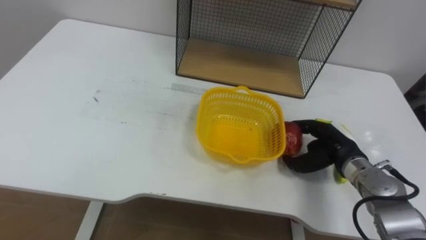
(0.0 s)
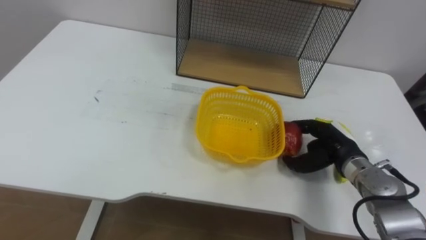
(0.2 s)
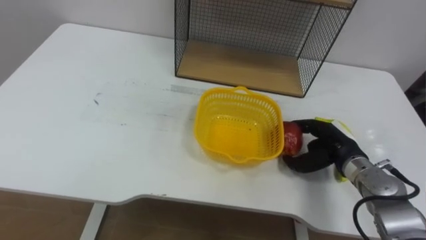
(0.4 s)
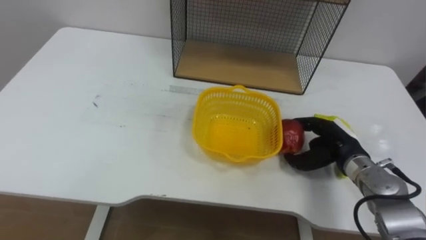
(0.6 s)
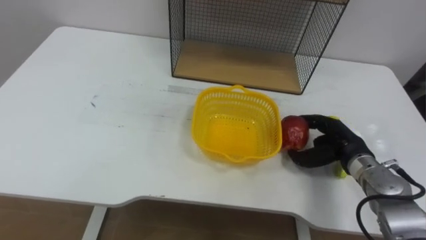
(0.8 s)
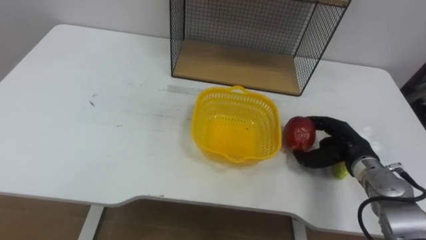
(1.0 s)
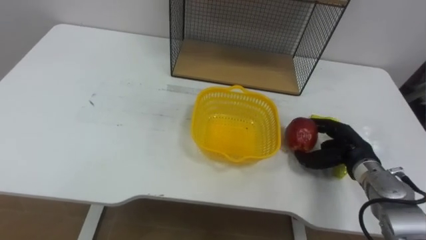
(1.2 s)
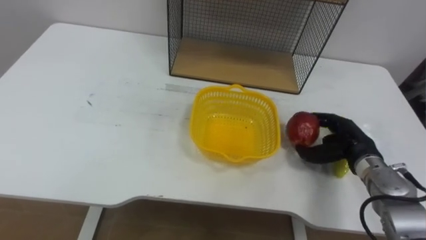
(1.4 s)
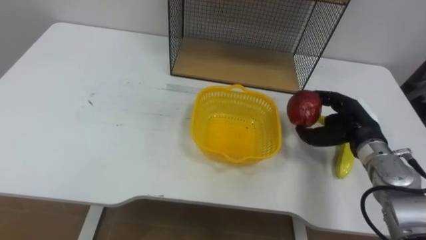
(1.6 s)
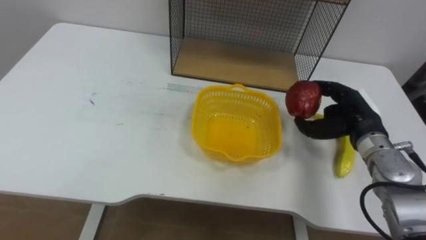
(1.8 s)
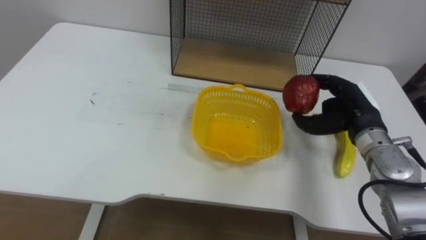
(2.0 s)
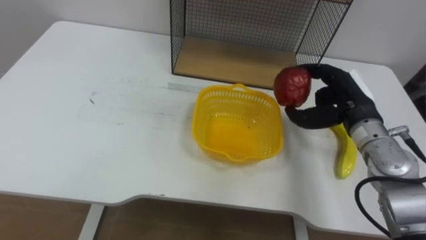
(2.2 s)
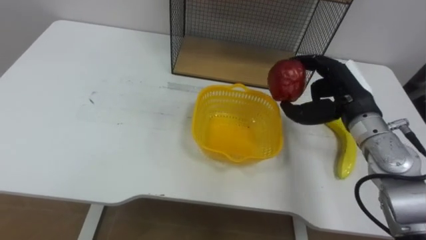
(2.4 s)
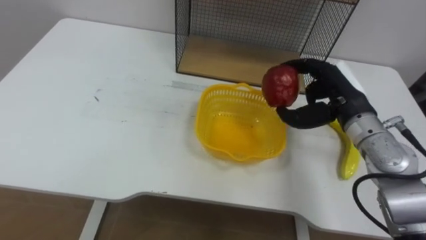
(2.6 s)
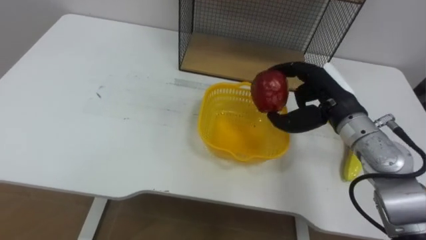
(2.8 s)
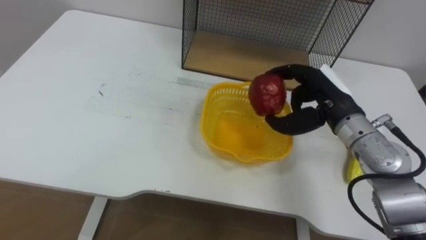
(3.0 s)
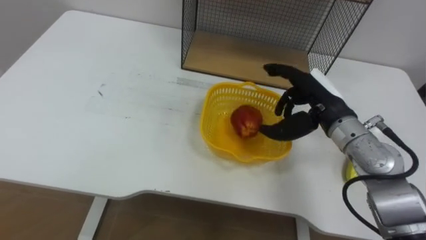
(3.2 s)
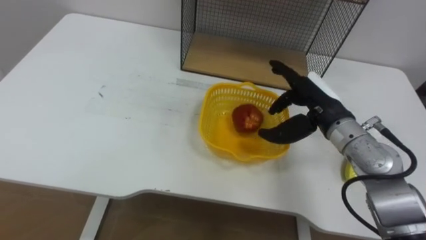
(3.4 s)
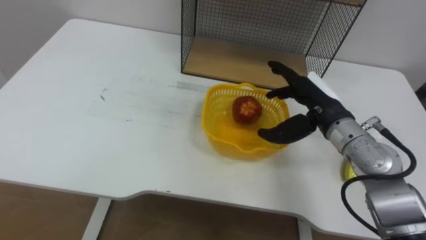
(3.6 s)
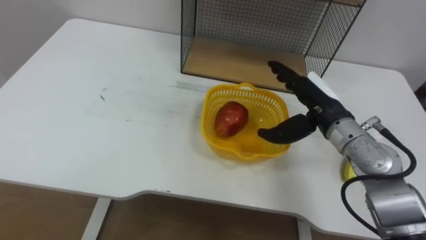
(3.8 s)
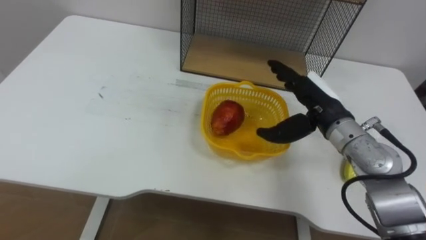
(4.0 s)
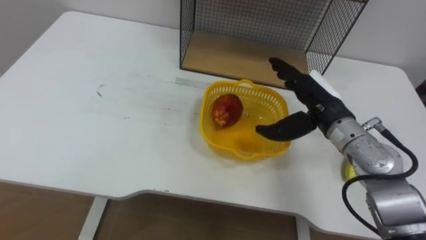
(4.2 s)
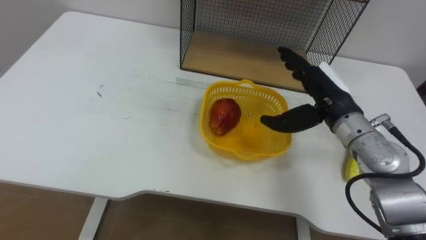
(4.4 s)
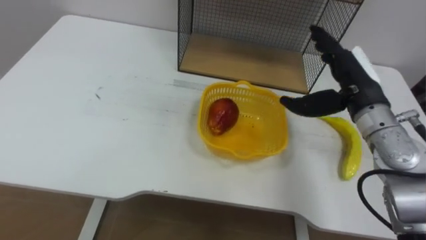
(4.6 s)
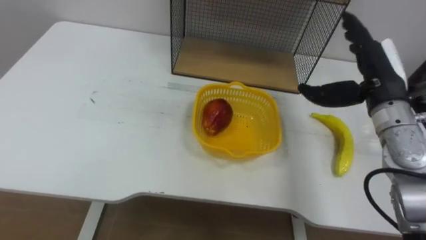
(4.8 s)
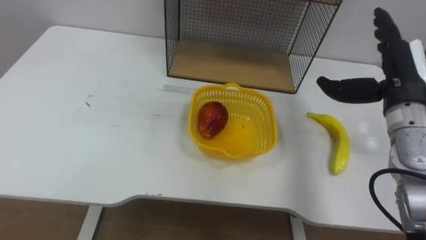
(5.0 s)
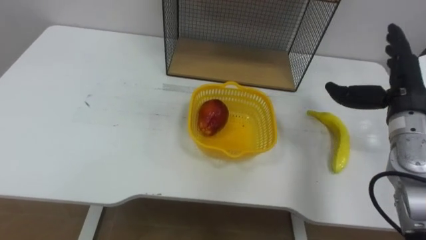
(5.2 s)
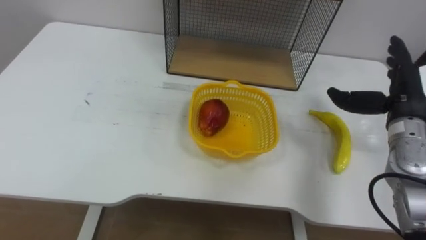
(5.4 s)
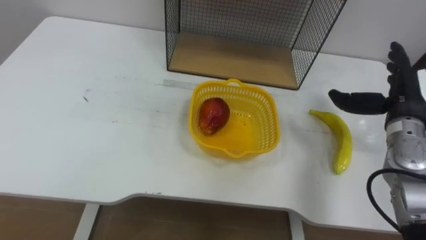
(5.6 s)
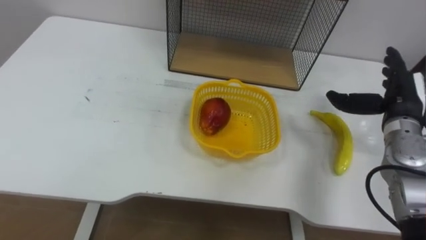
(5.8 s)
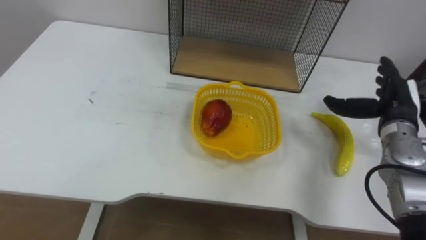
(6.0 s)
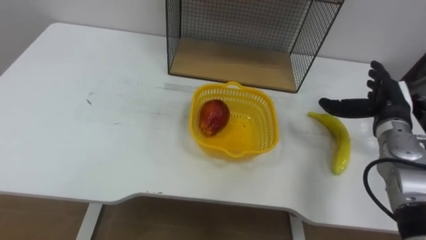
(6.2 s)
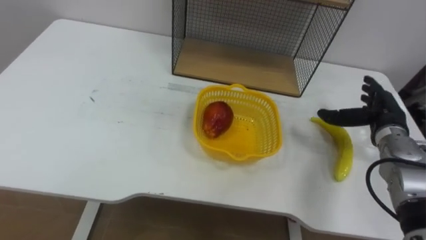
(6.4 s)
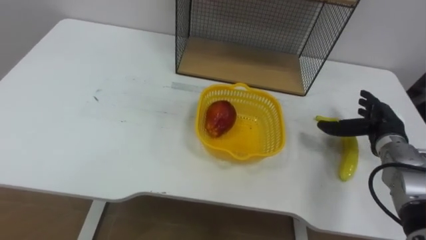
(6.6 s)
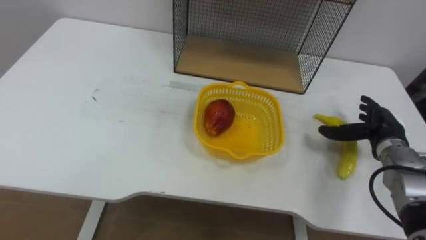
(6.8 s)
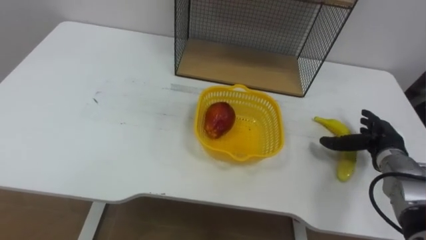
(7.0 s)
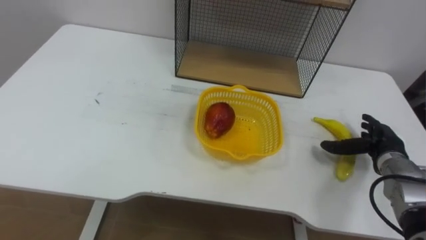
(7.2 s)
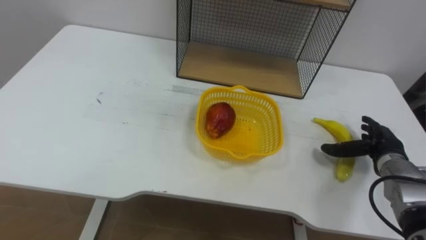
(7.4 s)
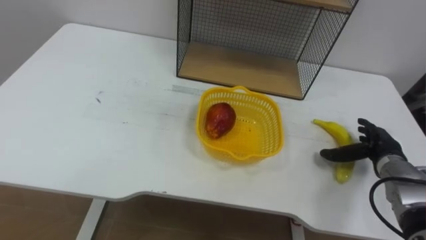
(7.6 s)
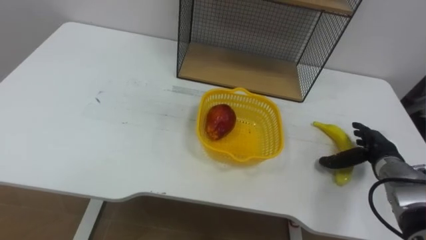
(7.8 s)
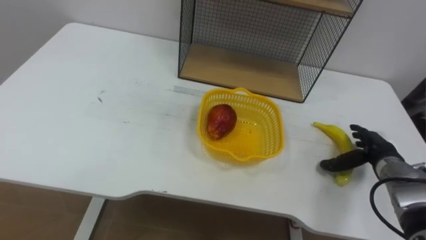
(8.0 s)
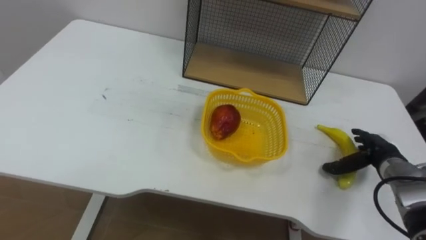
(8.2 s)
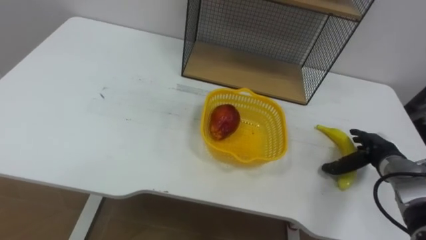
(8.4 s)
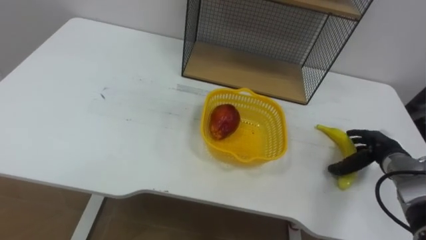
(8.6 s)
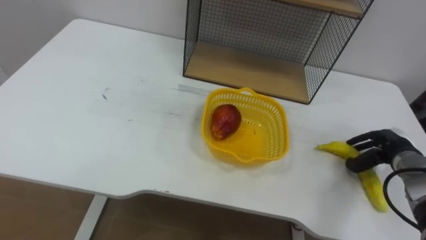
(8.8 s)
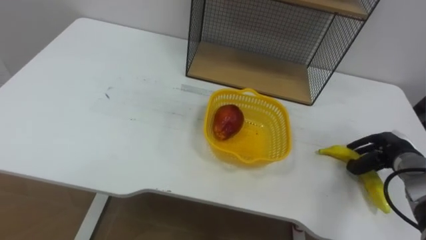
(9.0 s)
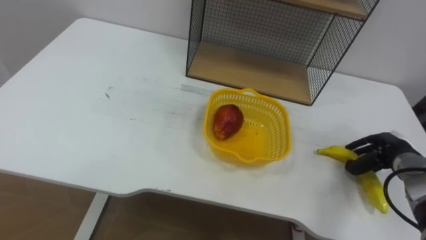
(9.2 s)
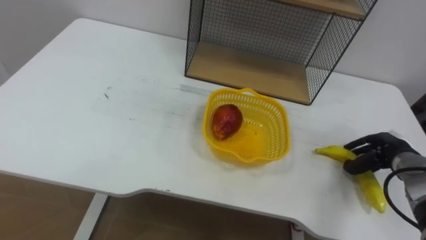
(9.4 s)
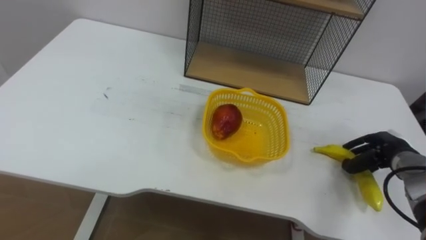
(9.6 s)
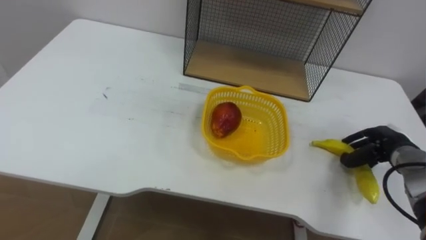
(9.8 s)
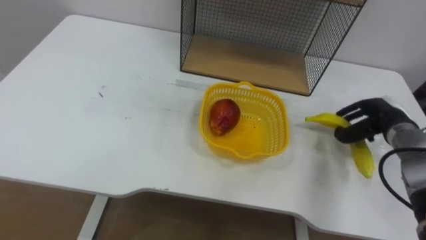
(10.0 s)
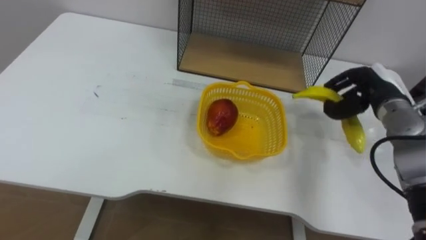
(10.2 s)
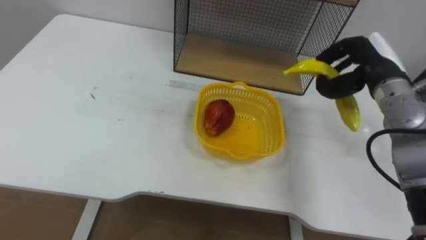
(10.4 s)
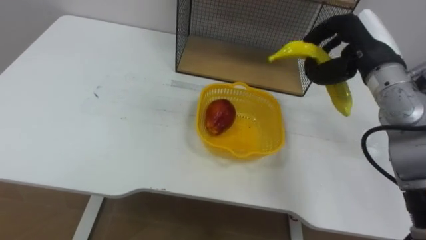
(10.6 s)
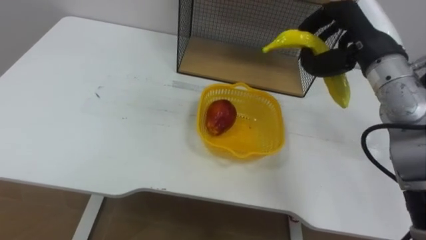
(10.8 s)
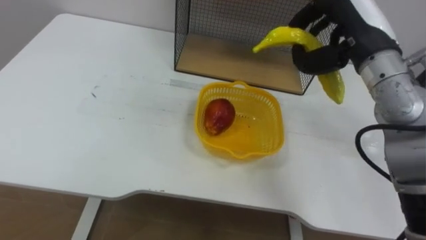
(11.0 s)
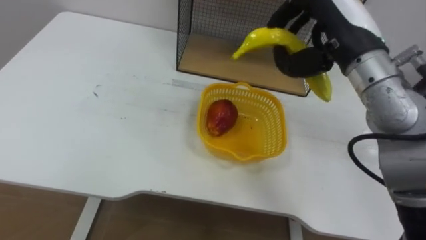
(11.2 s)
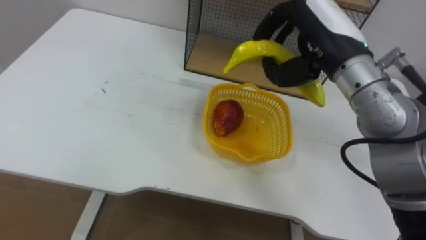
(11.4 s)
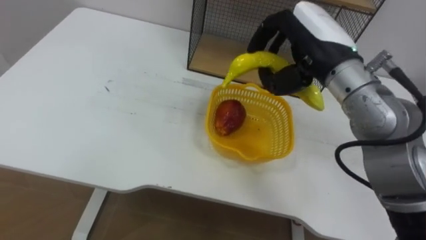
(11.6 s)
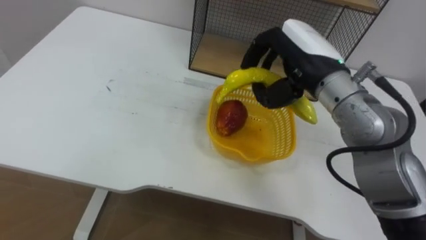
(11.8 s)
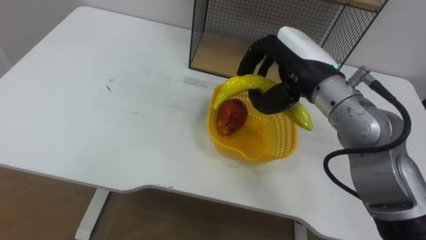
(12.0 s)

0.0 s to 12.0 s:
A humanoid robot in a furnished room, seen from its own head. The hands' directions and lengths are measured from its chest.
Task of the whole recording: Put the fruit on the table into the basket, then place the basket on the shelf.
0.0 to 1.6 s: The right hand ends up roughly 5 cm from where it was.
1.6 to 3.0 s: The right hand goes roughly 10 cm to the left and upward.
3.0 to 4.4 s: The right hand opens up.
4.4 to 6.0 s: The right hand moves to the right, about 15 cm.
6.0 to 7.6 s: The right hand is displaced downward by roughly 10 cm.
7.6 to 9.0 s: The right hand closes up.
9.0 to 10.4 s: The right hand heads upward, to the left and forward, covering some 20 cm.
10.4 to 12.0 s: The right hand goes about 15 cm to the left.

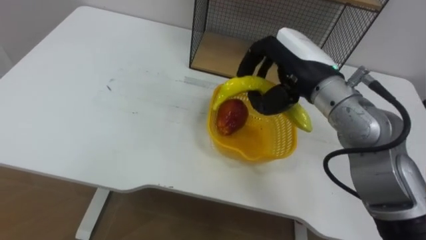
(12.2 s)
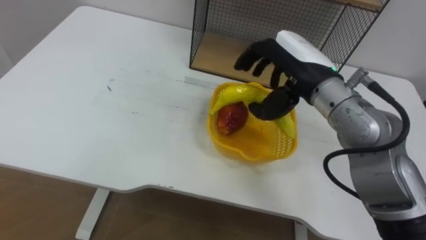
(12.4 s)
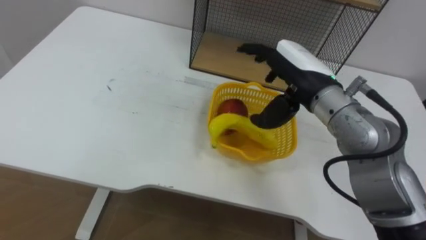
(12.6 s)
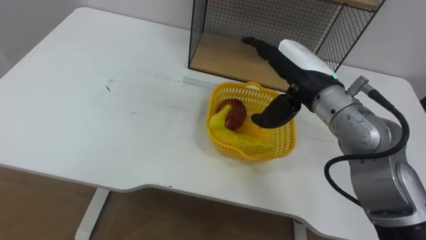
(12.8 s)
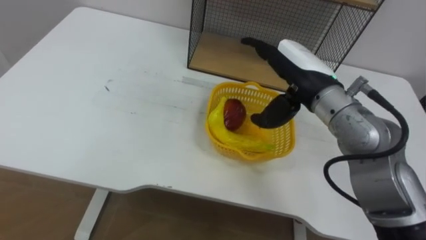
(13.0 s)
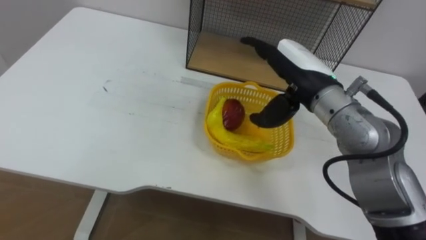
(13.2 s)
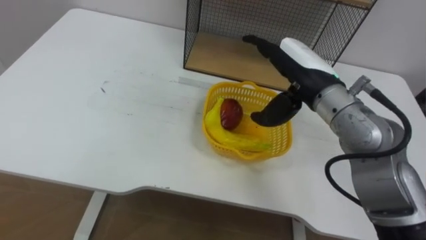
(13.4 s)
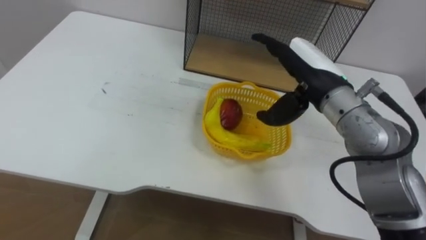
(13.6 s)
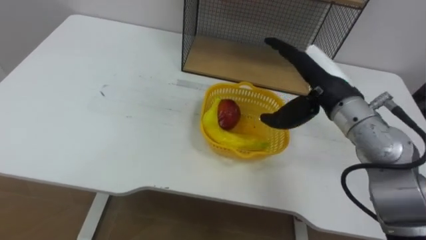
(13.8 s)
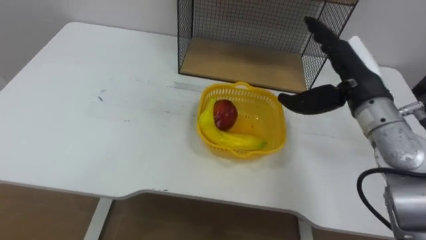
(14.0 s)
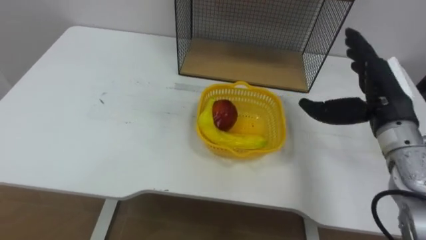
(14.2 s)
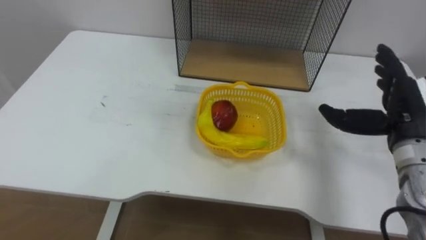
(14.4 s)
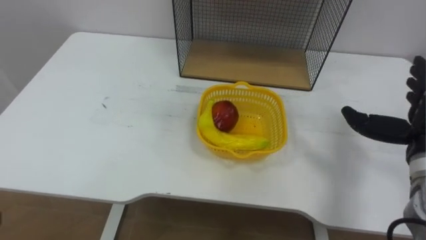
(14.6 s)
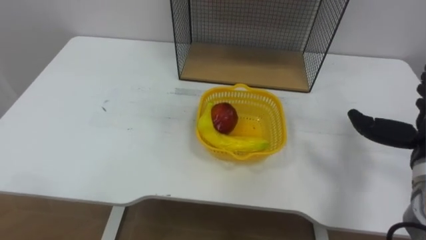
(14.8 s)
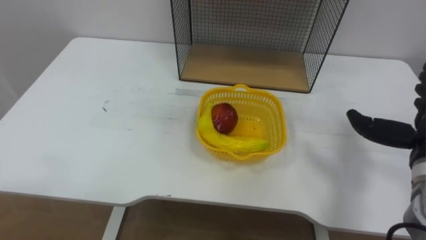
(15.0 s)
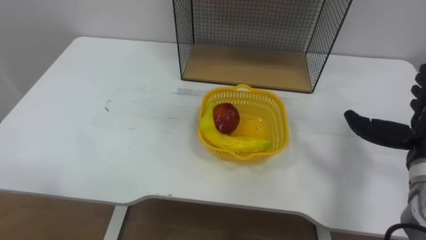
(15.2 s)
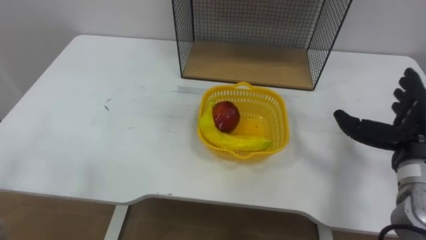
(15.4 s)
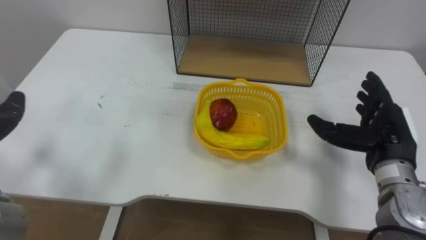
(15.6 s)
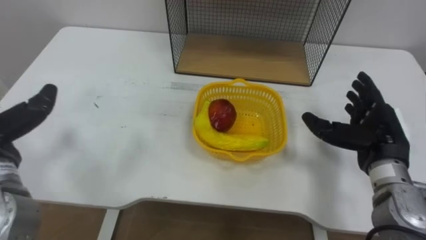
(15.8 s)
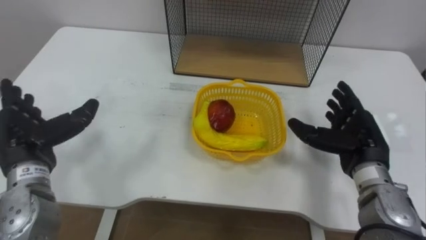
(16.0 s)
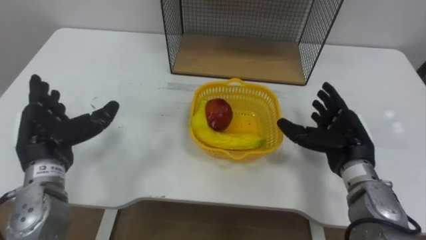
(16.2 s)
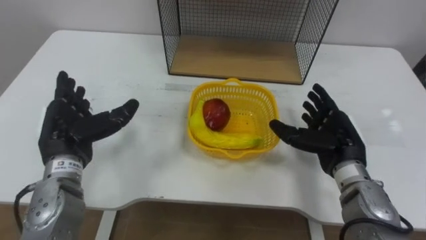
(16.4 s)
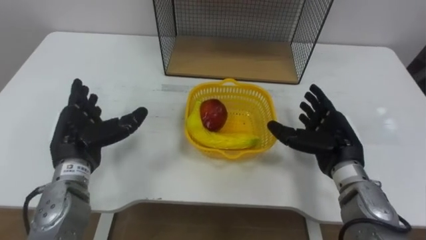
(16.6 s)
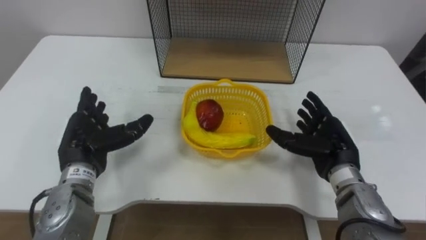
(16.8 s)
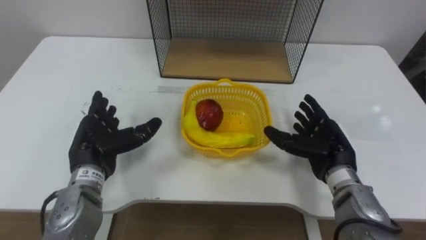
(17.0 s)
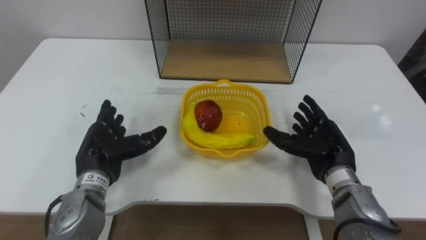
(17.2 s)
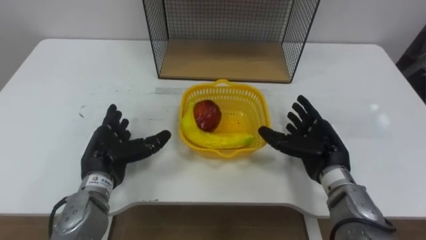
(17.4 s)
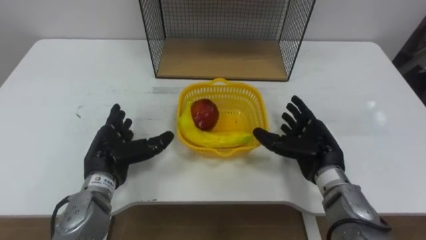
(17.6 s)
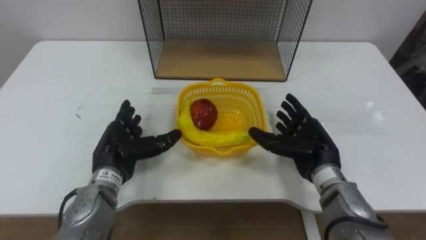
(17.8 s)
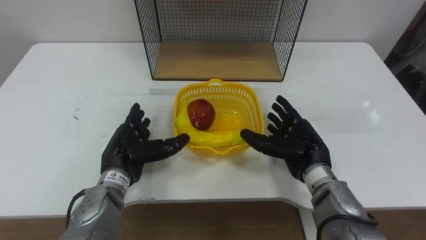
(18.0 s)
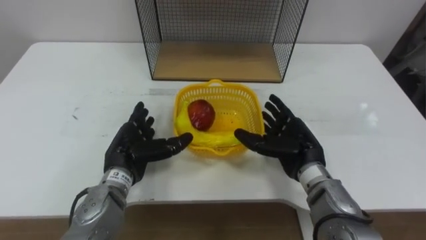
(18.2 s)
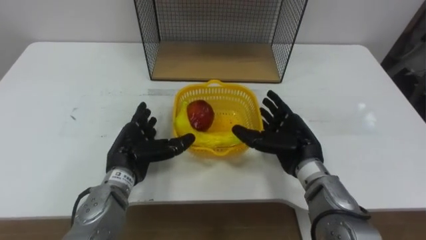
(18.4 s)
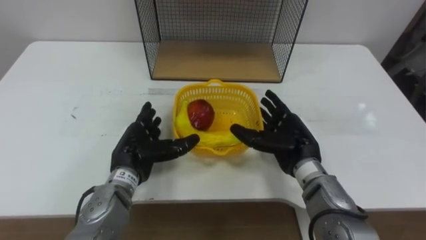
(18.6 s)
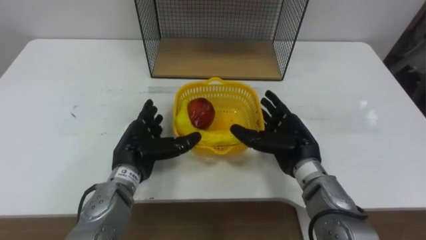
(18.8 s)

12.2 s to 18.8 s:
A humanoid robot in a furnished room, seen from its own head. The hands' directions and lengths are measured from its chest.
Task of the whole recording: Put the fruit on the table into the basket, then place the basket on the shelf.
12.2 to 13.8 s: The right hand ends up approximately 5 cm from where it was, and opens.
15.4 to 17.2 s: The right hand shifts some 15 cm to the left and downward.
17.2 to 18.8 s: The left hand travels to the right by about 5 cm. The right hand shifts some 5 cm to the left.
